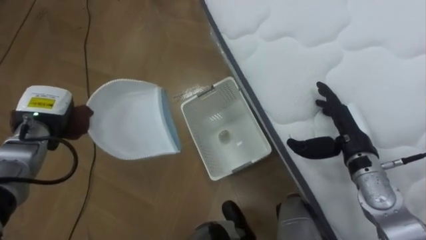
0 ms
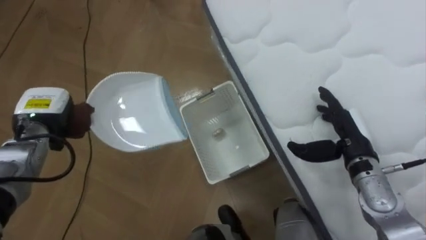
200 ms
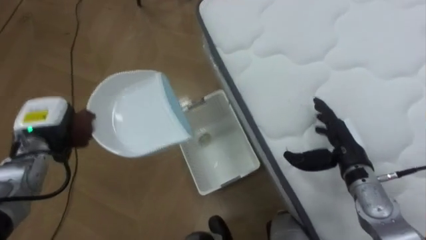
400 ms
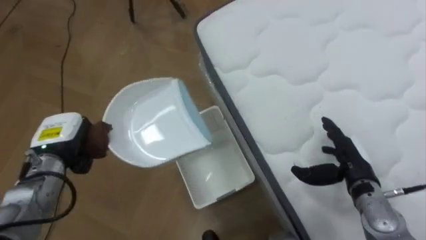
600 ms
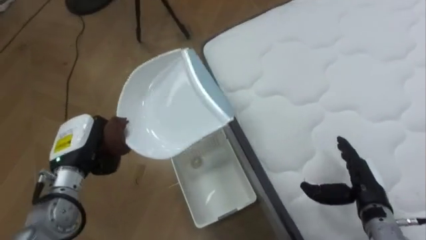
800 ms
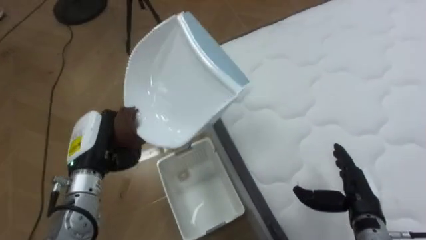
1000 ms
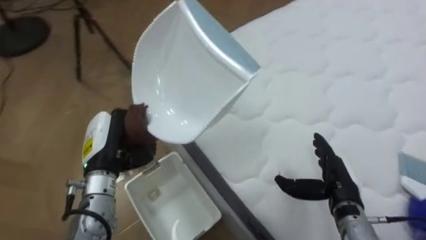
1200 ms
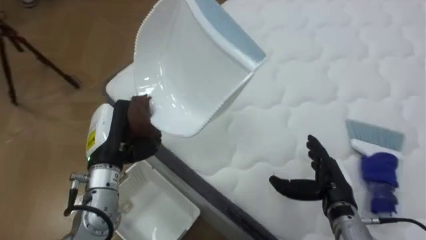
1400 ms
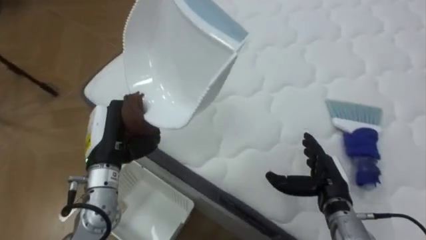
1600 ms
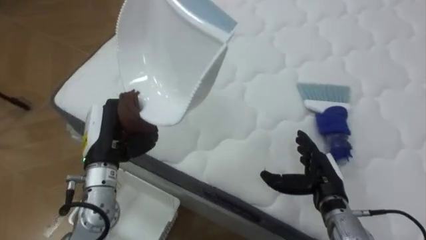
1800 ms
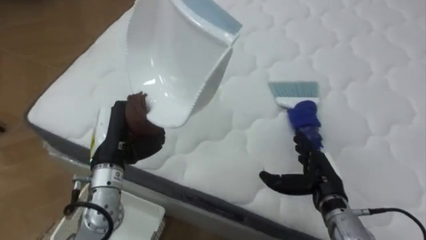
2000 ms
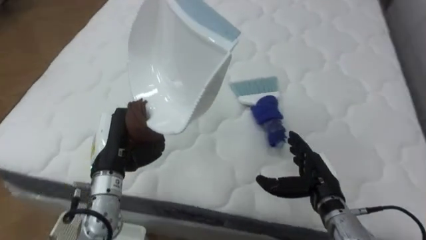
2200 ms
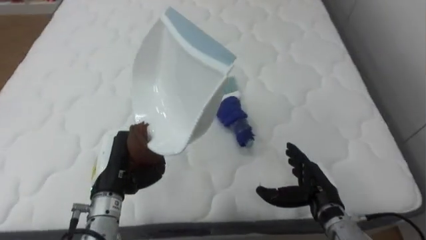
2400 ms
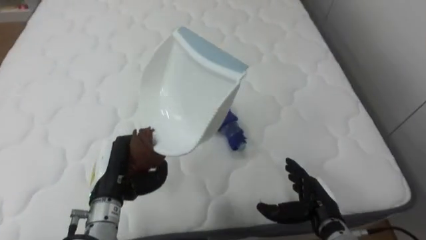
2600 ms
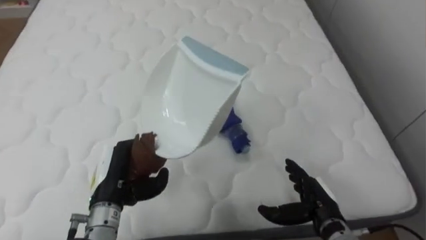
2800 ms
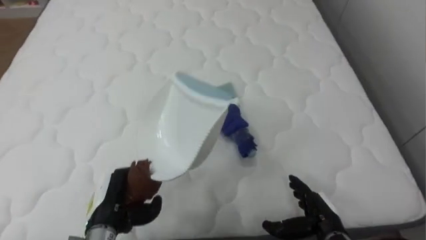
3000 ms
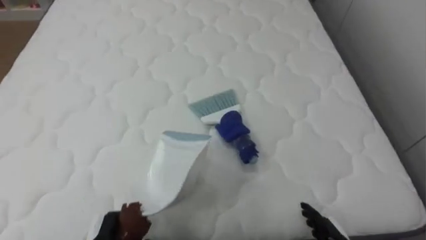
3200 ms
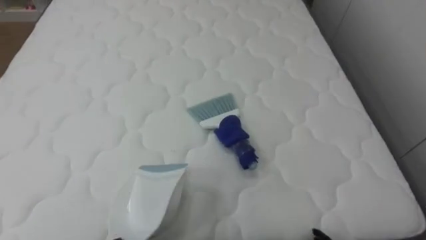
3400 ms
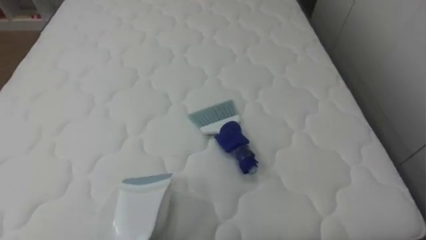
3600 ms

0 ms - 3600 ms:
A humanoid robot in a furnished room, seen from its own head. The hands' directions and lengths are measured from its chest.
Task of the whole recording: Pick up the brush on your right and the dustpan on your left. Use the brush to sweep the crumpled paper on the bed into the dustpan, then turn left and empty it into the basket.
0 ms - 1800 ms: The robot's body swings approximately 60 degrees to its right. The left hand shifts roughly 15 cm to the right and backward. Meanwhile the right hand moves downward and backward, roughly 10 cm.
1800 ms - 3600 ms: The robot faces approximately 30 degrees further to its right.

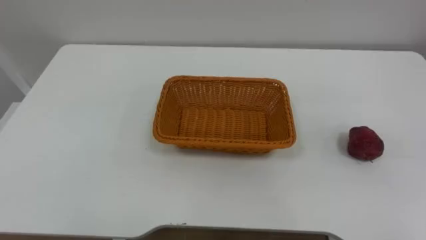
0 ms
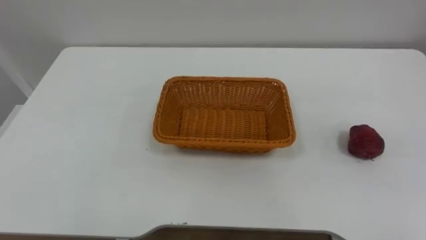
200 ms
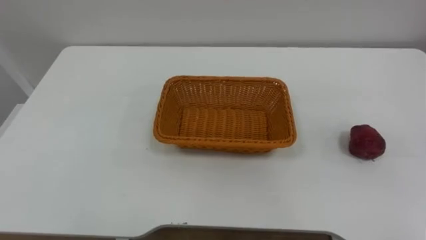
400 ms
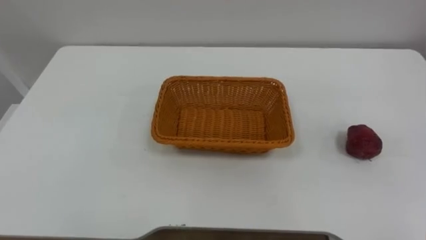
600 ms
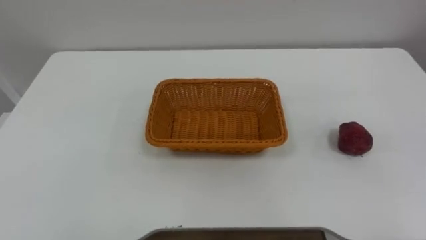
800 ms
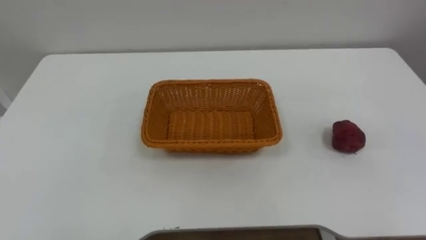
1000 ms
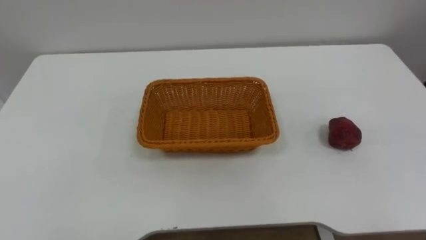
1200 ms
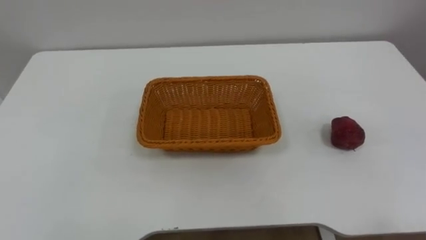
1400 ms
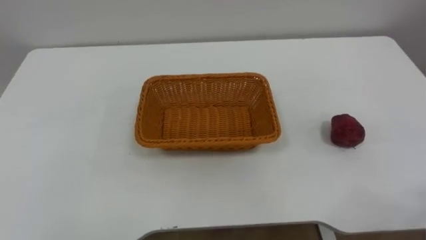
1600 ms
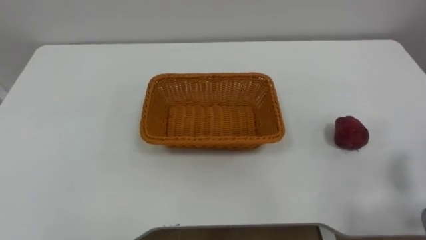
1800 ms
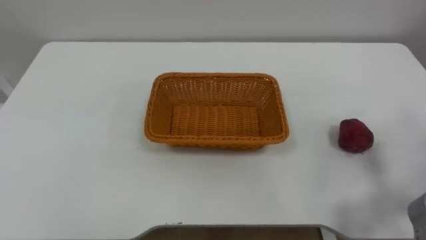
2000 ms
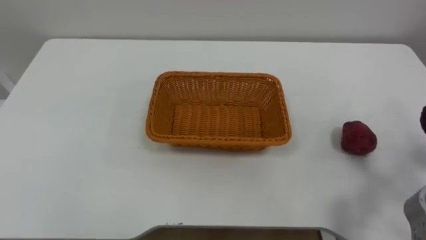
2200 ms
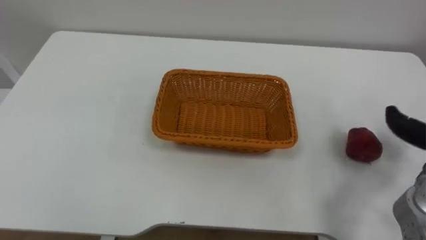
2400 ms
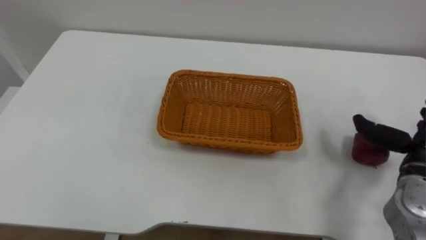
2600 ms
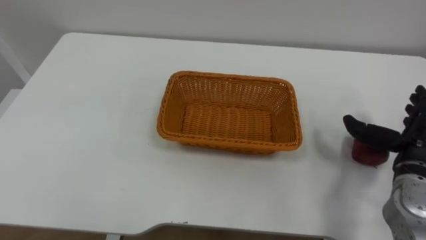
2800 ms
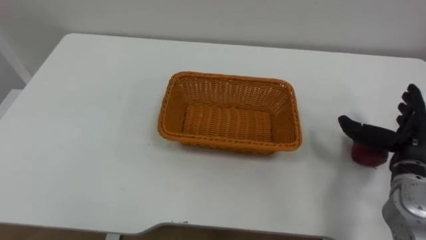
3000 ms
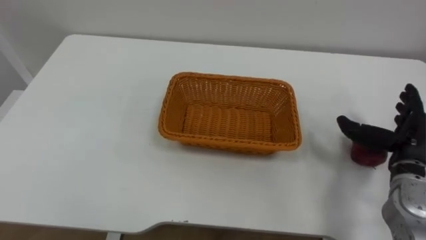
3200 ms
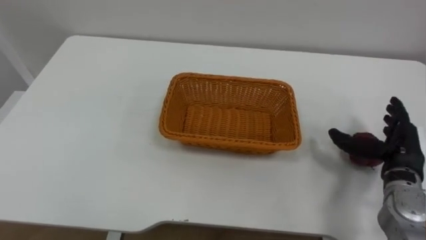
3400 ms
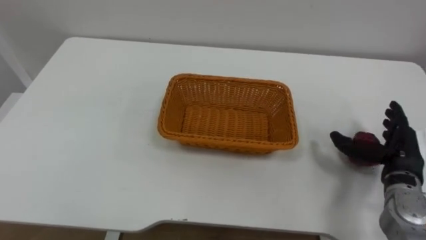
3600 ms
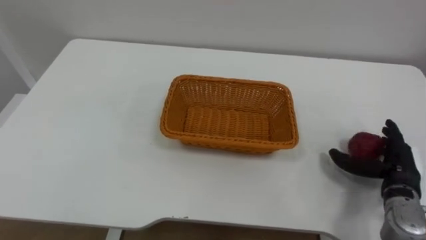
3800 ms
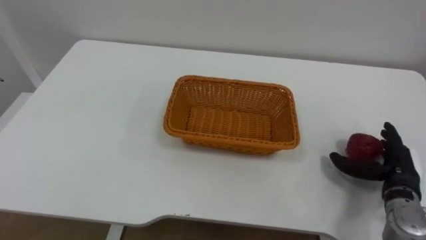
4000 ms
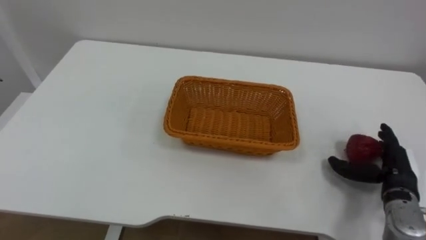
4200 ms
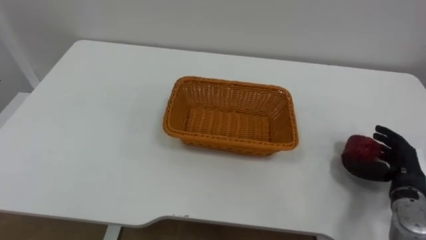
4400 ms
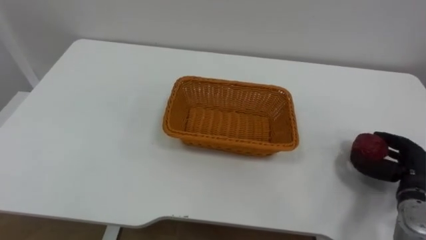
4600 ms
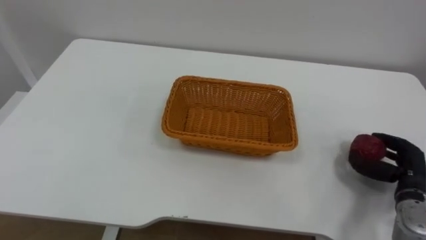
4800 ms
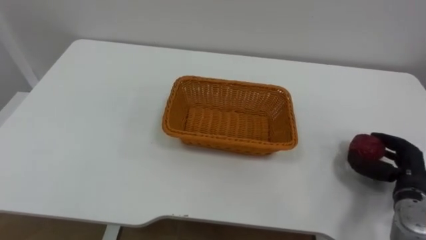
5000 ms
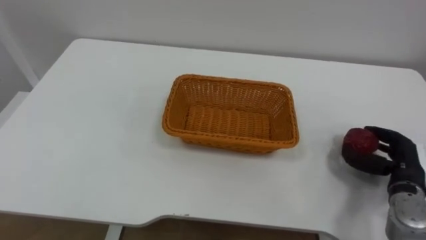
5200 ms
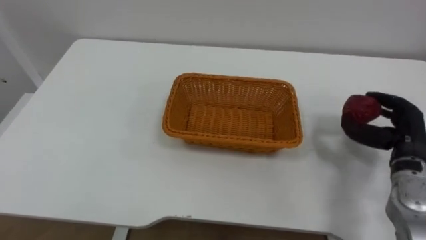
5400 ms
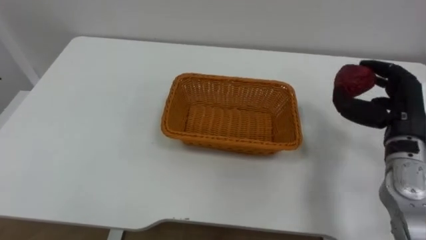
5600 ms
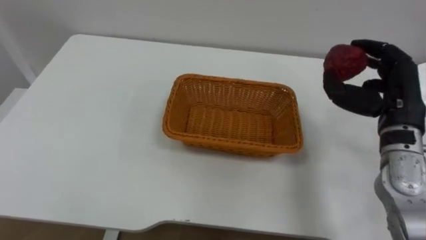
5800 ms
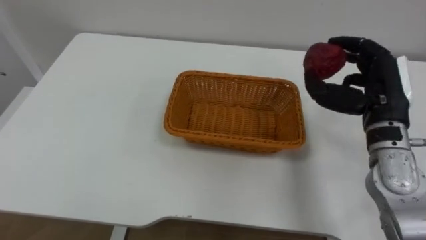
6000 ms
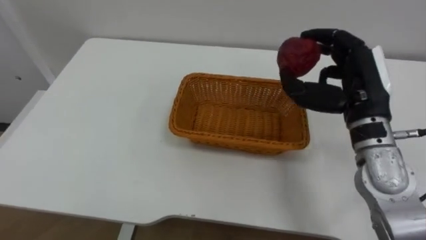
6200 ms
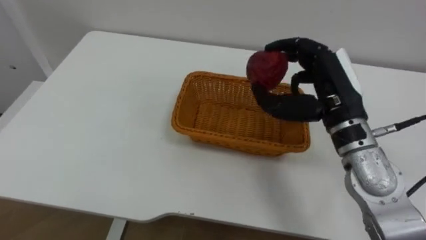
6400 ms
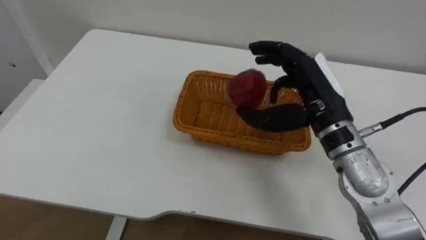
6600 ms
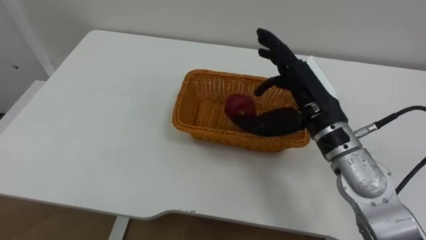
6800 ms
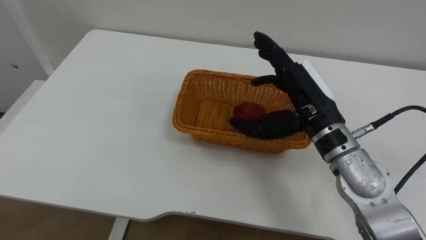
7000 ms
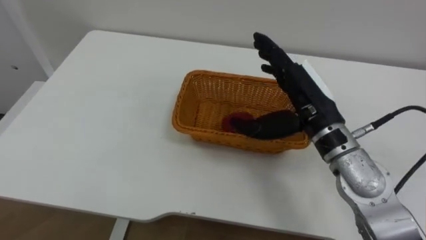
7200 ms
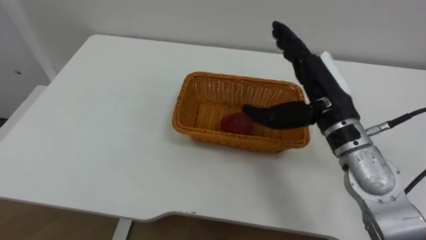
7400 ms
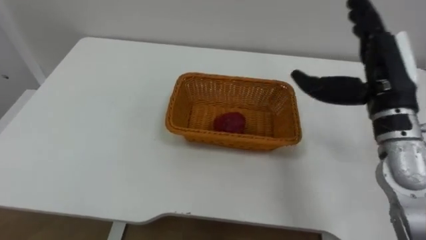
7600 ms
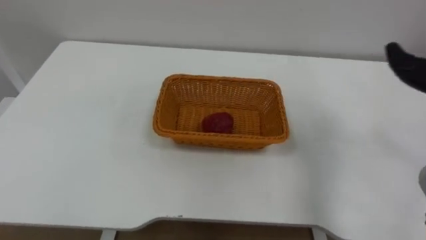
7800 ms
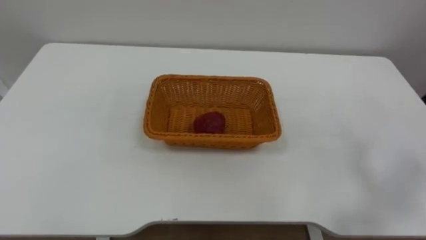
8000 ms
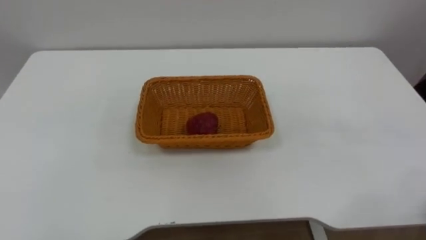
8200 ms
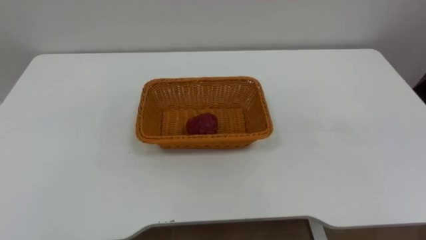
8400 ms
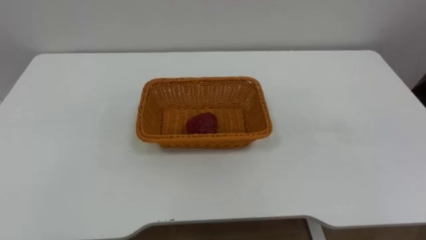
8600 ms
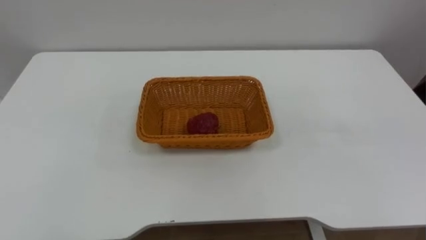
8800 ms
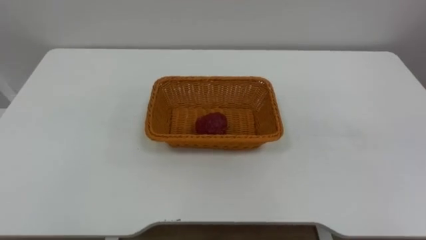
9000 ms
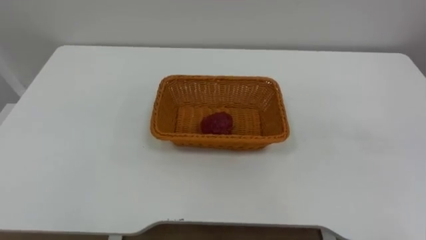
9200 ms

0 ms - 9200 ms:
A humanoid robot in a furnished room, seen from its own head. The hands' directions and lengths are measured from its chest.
Task of the whole recording: Pick the apple and place it in the box.
3000 ms - 4600 ms: The right hand moves downward, some 10 cm, and closes its fingers.
4600 ms - 6200 ms: The right hand shifts about 25 cm upward and to the left.
6200 ms - 7600 ms: The right hand goes to the left and returns, some 5 cm each way, and opens up.

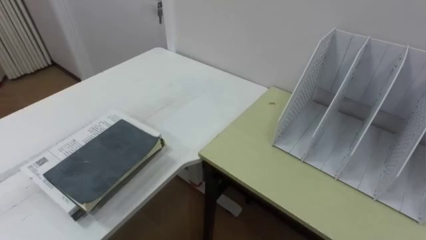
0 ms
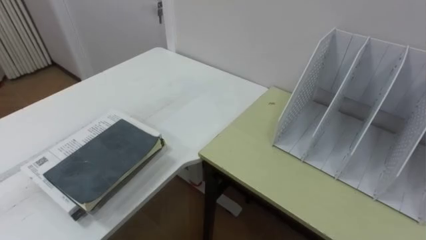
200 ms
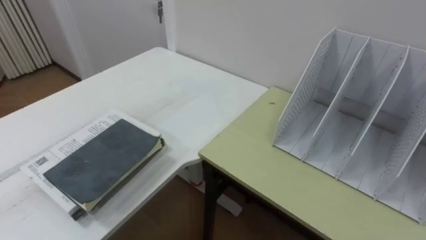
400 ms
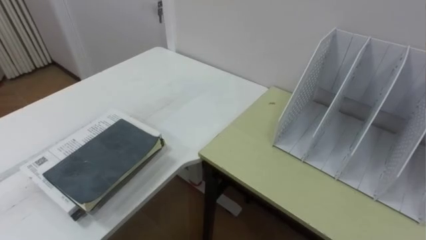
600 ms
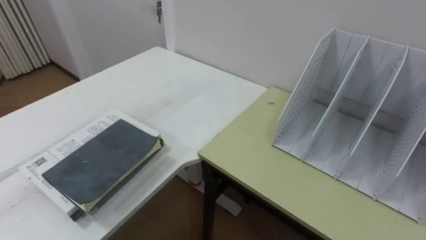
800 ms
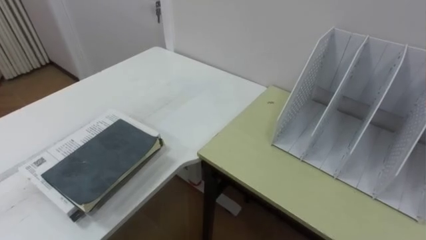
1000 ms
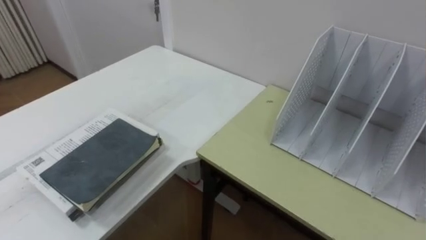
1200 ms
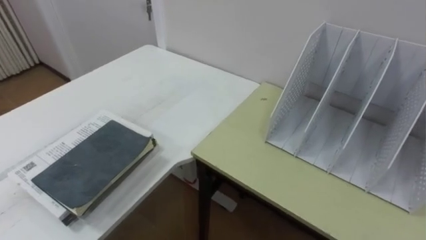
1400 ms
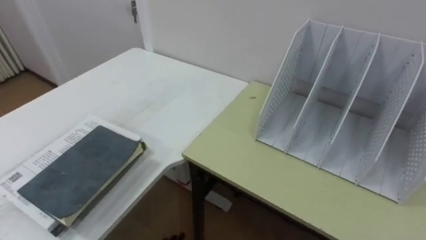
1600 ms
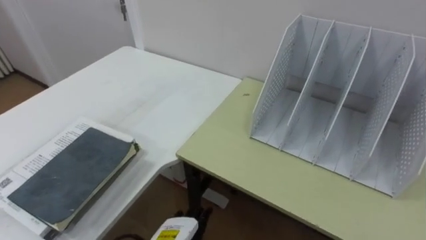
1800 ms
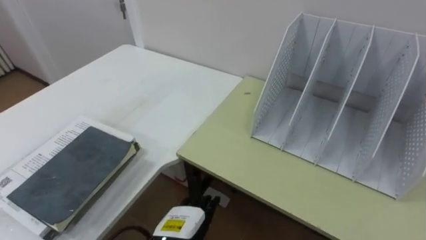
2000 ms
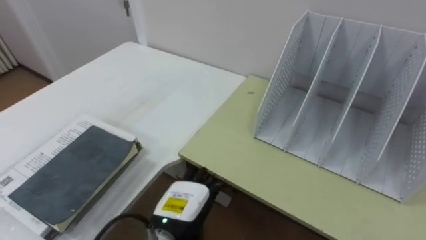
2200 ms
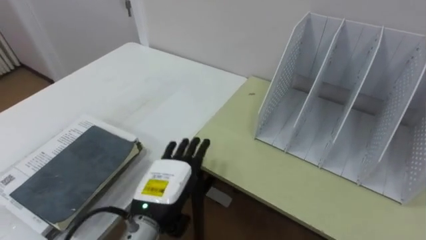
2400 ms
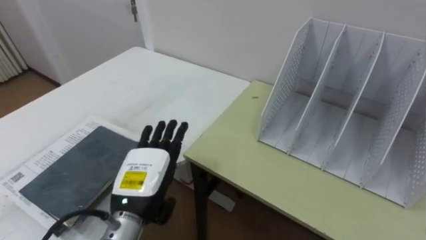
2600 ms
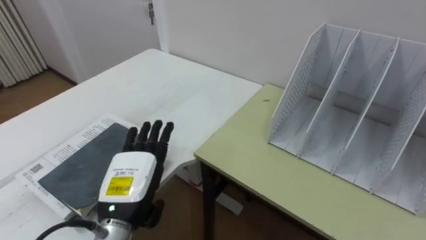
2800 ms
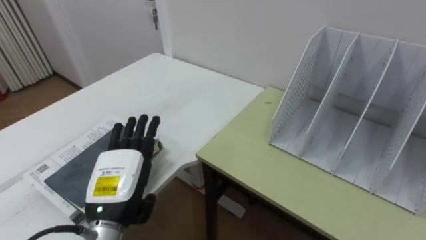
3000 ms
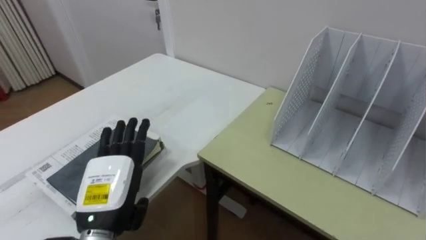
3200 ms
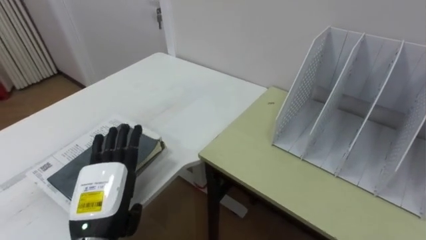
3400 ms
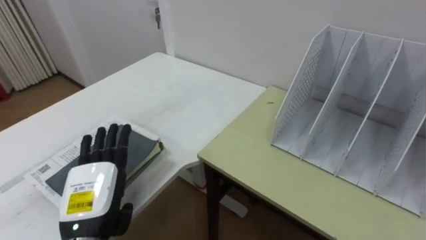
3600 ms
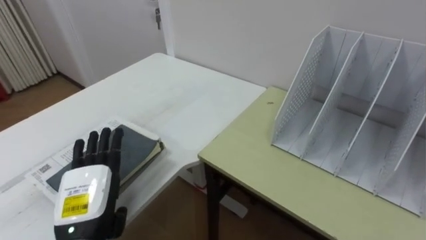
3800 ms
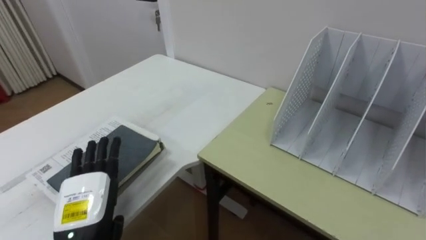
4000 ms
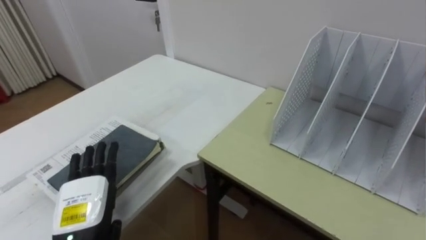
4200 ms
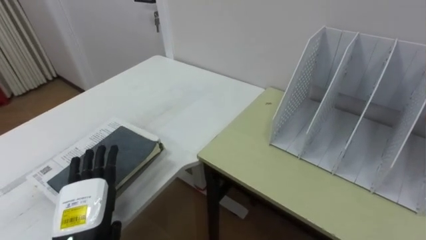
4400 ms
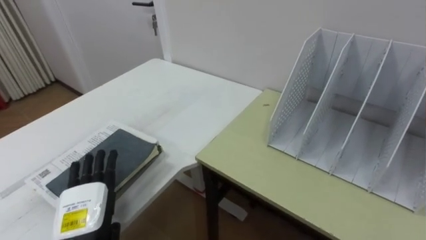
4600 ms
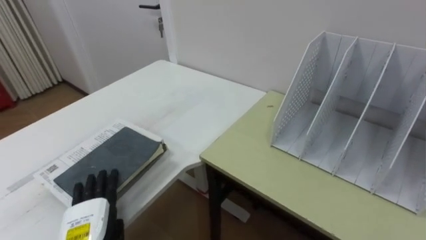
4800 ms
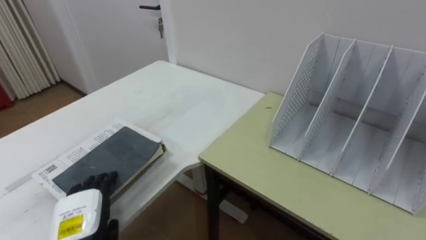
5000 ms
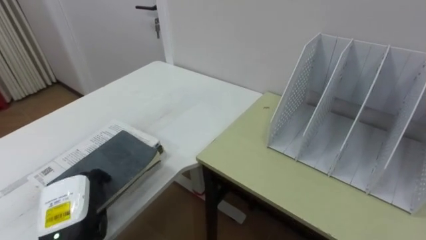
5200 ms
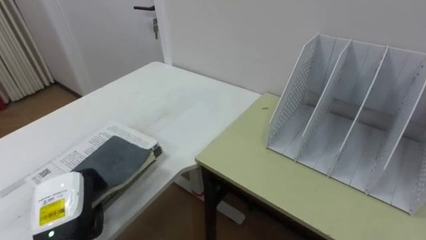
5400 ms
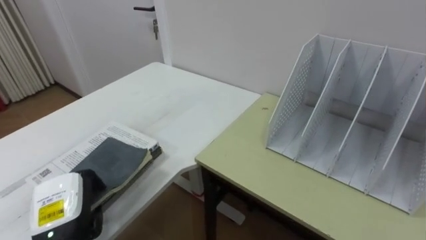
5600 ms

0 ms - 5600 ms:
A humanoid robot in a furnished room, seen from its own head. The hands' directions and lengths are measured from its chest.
Task of the whole recording: Put the books on the table onto the bookshelf.
2800 ms - 4200 ms: The left hand goes approximately 5 cm to the left.
4200 ms - 5600 ms: The left hand closes up.
